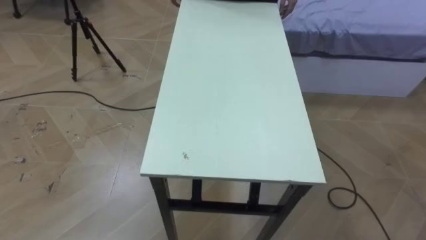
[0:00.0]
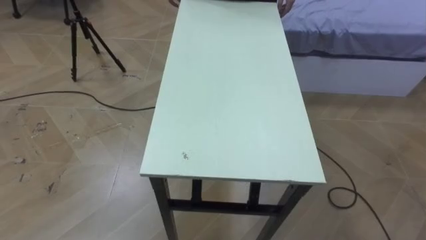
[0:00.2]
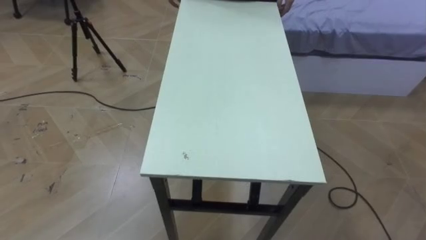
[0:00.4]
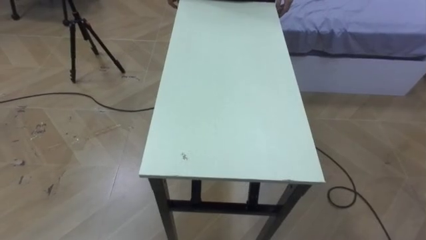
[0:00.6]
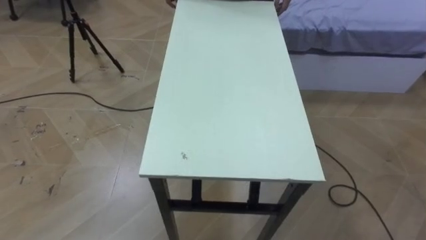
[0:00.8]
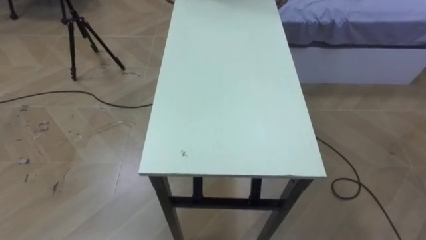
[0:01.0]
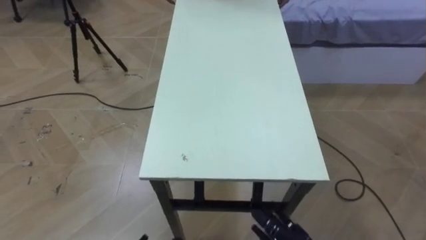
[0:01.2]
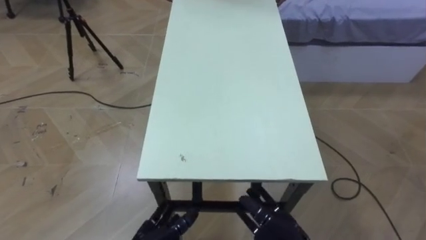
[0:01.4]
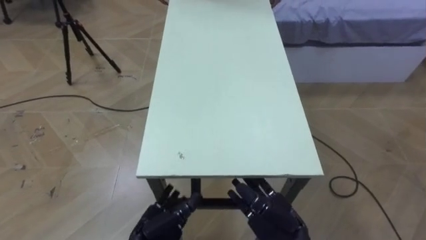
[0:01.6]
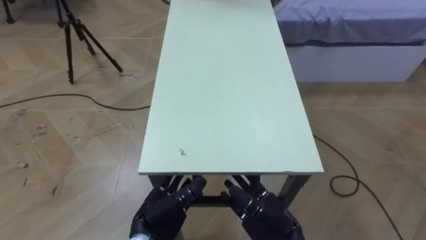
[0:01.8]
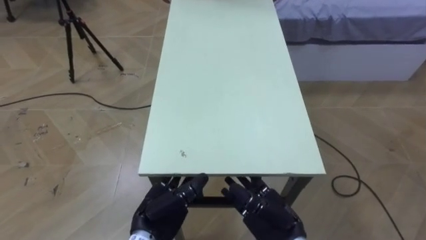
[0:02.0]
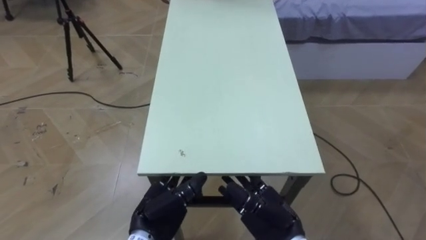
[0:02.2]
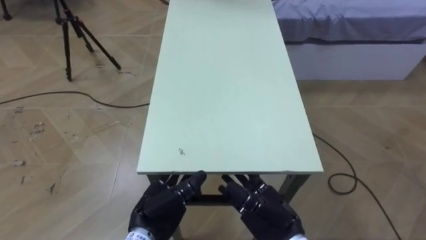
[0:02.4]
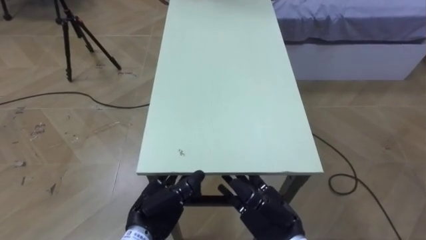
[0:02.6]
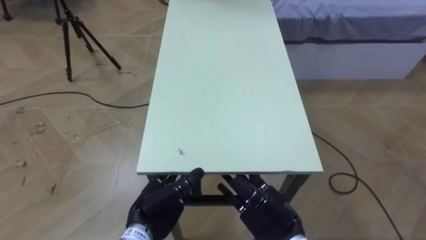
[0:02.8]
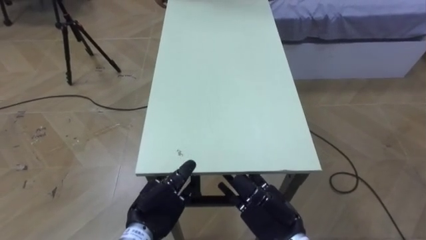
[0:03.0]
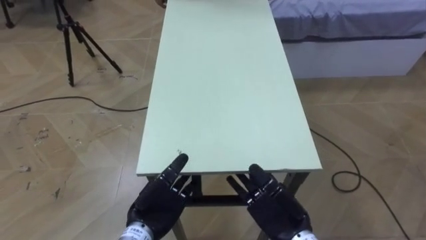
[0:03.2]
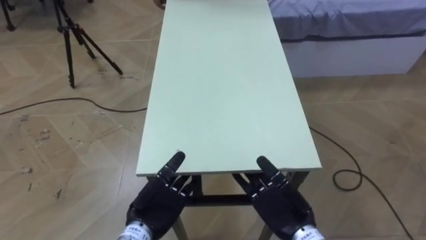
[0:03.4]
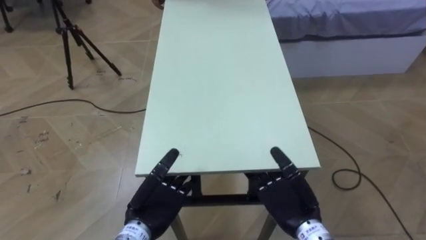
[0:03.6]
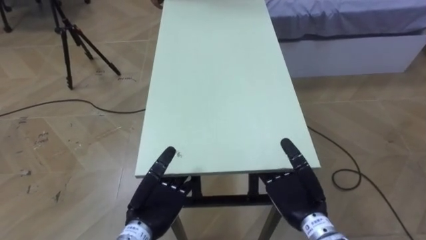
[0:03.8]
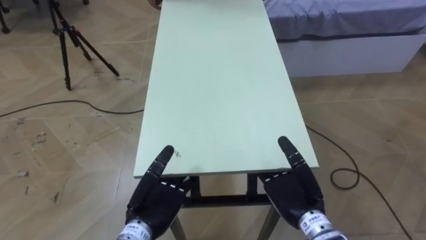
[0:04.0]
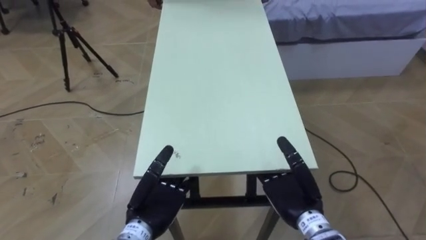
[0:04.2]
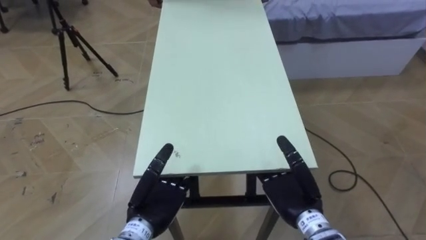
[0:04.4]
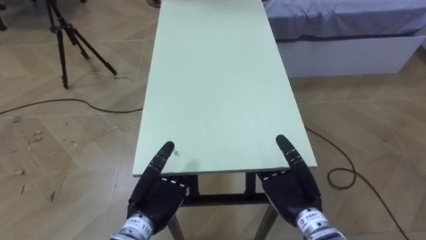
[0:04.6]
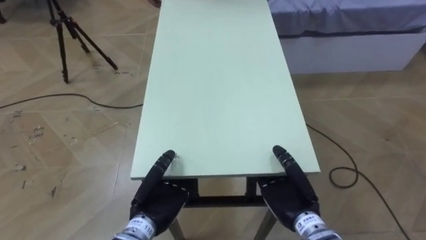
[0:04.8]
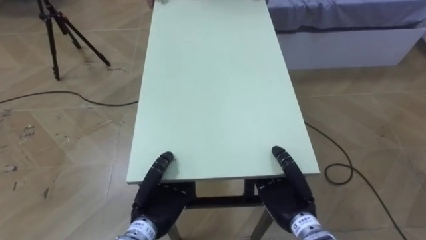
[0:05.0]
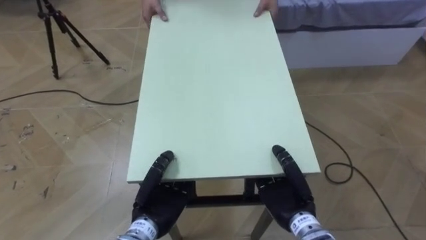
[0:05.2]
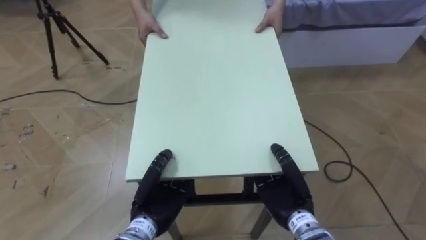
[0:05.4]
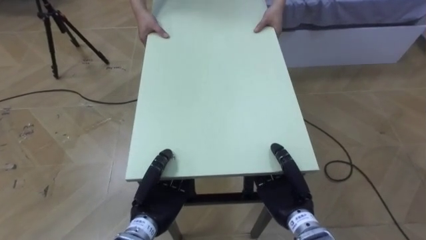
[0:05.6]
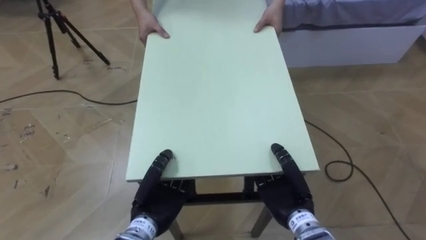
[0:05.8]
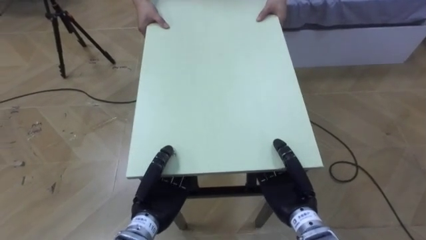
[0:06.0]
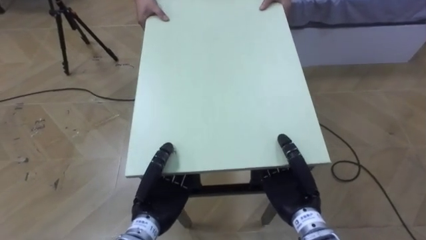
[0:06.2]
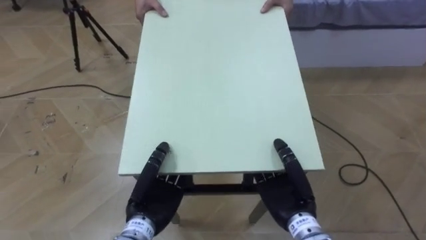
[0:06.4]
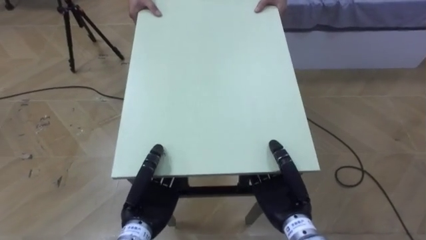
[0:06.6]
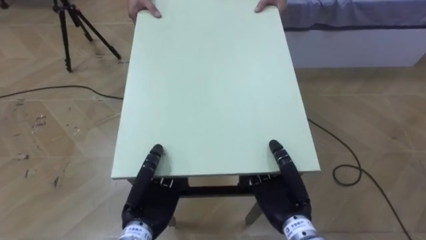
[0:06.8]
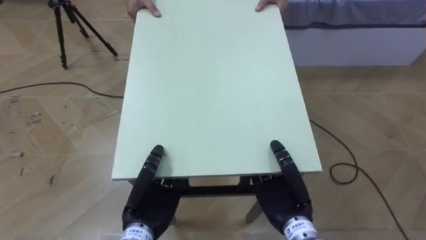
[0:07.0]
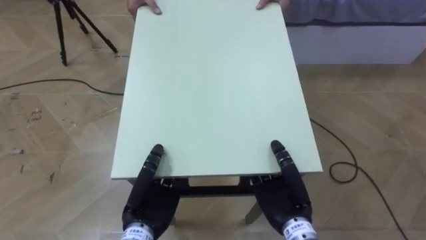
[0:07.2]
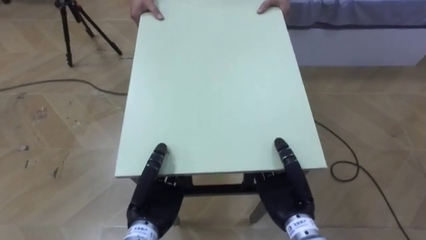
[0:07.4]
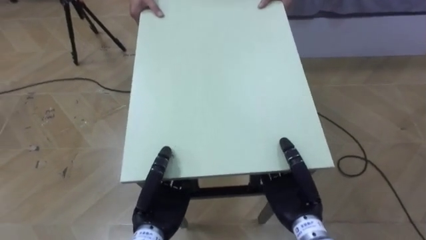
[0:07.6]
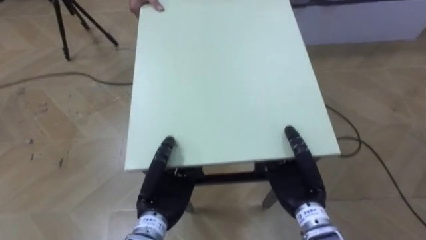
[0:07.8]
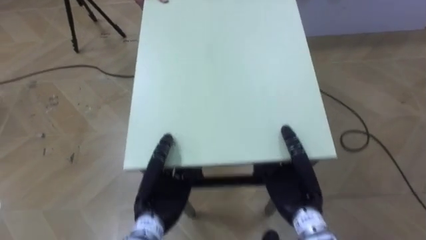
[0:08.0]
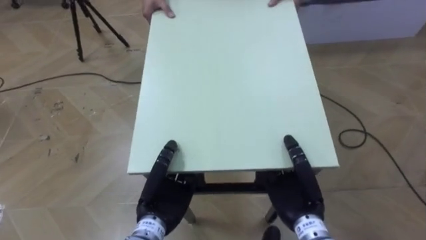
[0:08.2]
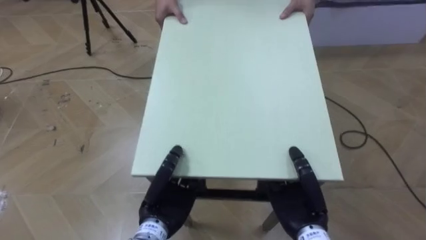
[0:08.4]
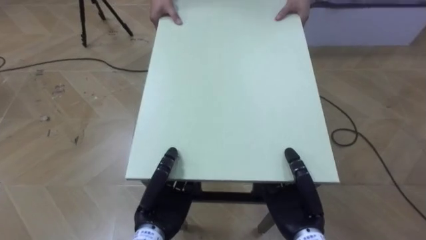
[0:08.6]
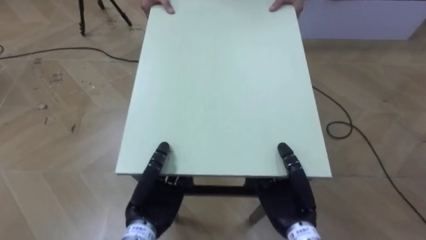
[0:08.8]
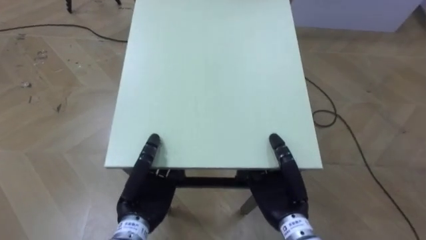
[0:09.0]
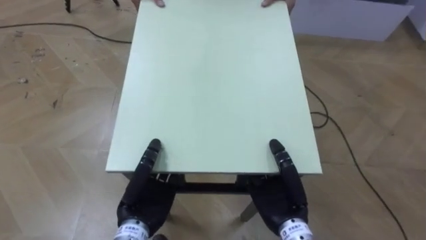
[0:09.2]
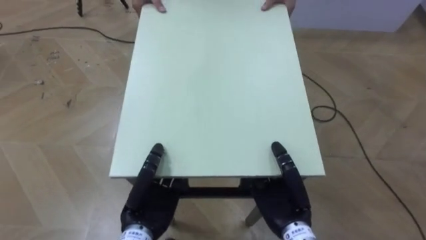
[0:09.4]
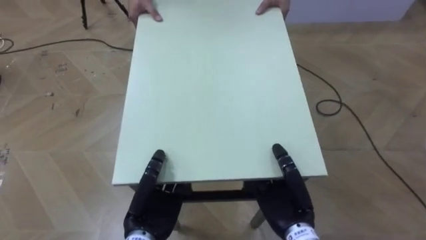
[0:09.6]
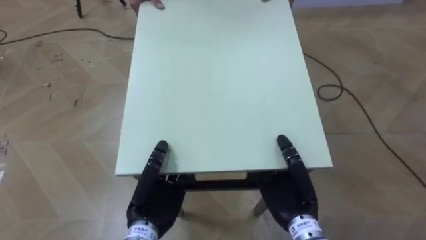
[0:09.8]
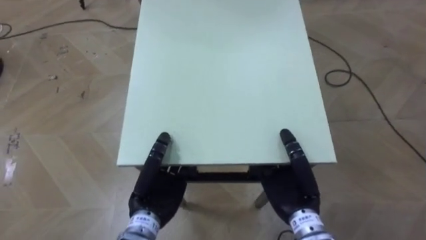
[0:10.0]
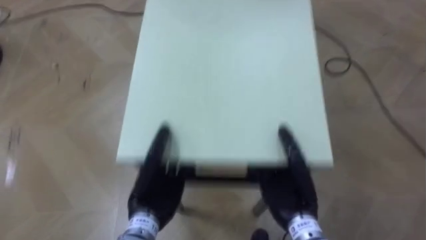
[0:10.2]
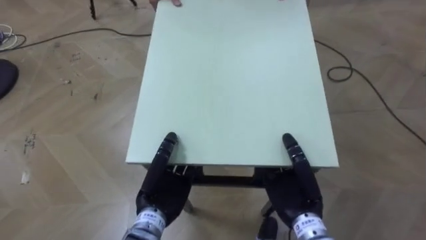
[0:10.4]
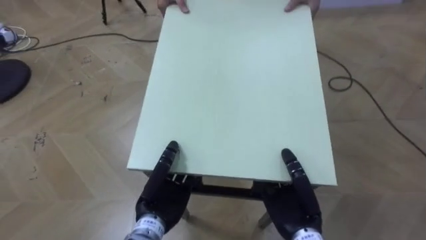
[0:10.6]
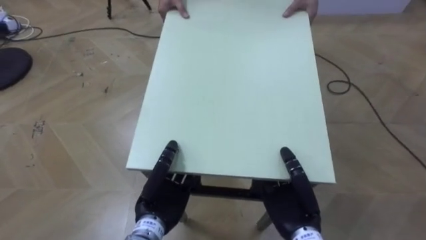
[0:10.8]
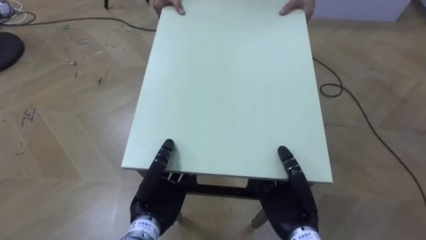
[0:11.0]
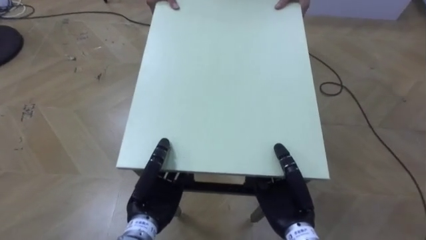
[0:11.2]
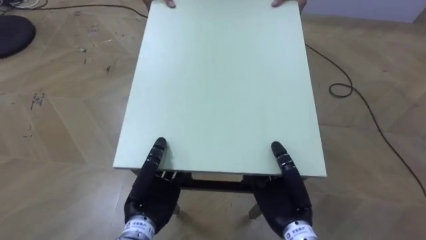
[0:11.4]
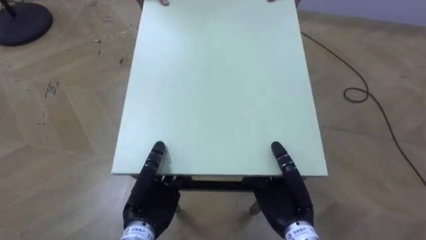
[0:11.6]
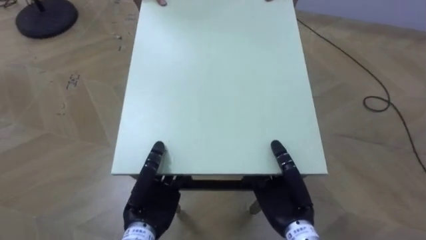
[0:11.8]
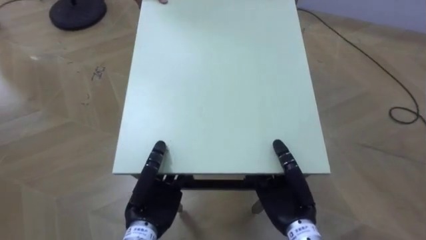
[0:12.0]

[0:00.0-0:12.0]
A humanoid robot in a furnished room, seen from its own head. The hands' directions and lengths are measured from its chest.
Task of the whole recording: Move the table to the back left with someone.
0:01.6 to 0:03.0: The left hand changes place by about 5 cm.
0:03.0 to 0:04.4: The right hand shifts by some 5 cm.
0:04.4 to 0:06.0: The right hand closes; the left hand closes.
0:10.4 to 0:12.0: The robot rotates roughly 20 degrees to its left.

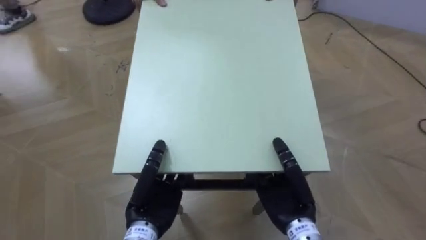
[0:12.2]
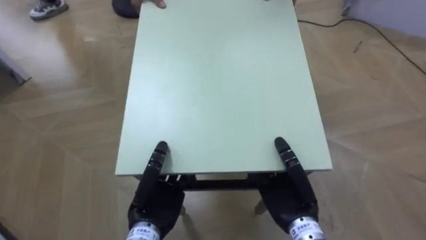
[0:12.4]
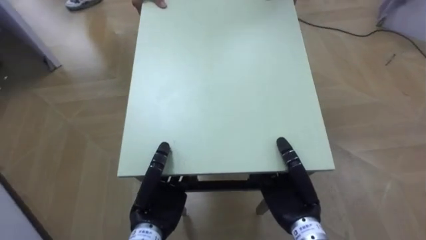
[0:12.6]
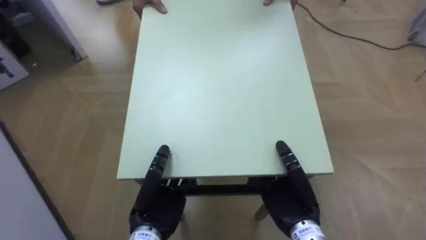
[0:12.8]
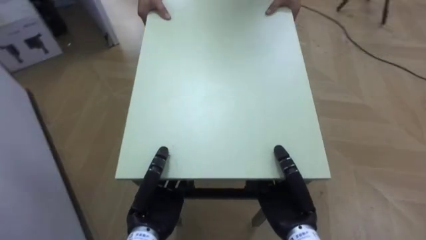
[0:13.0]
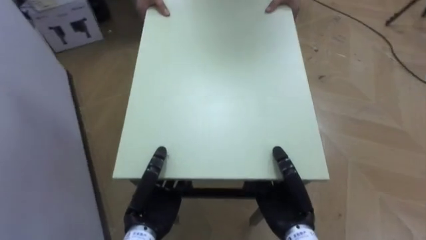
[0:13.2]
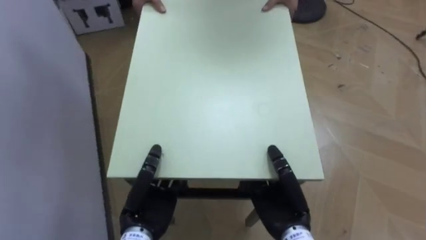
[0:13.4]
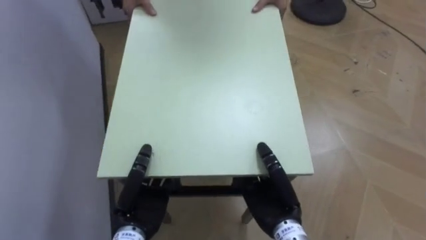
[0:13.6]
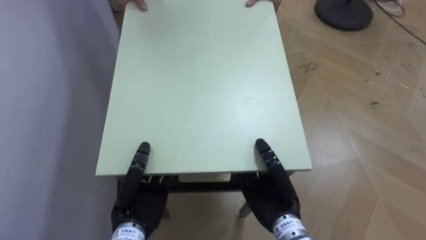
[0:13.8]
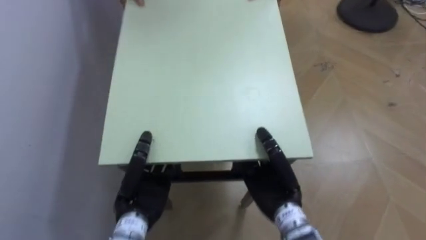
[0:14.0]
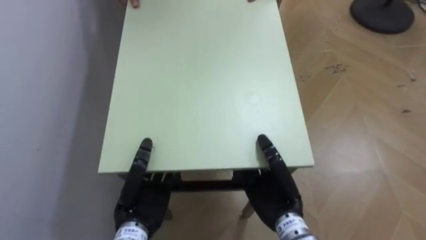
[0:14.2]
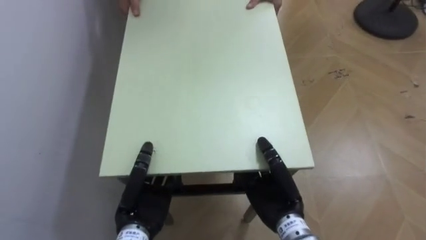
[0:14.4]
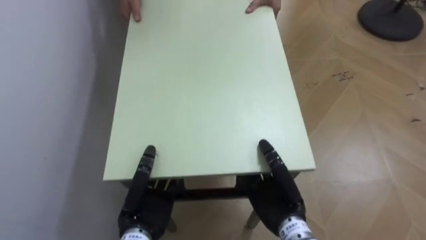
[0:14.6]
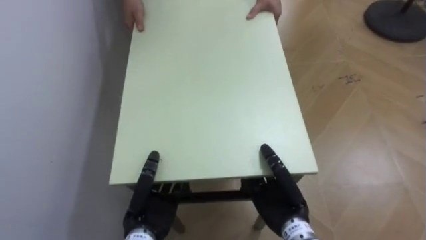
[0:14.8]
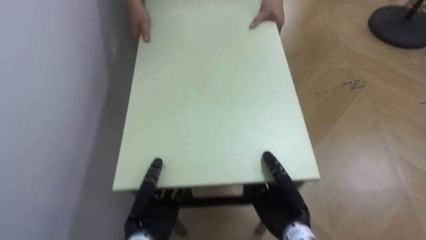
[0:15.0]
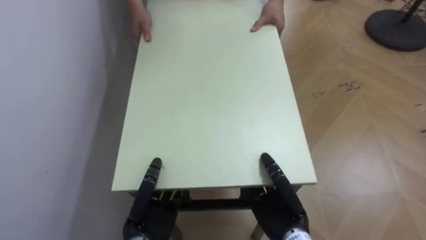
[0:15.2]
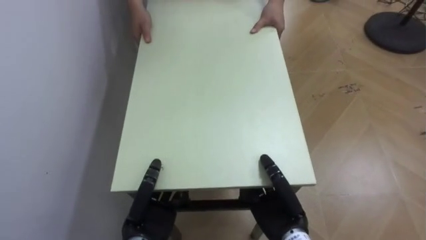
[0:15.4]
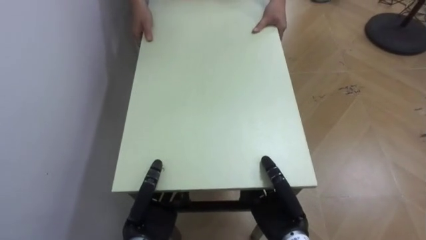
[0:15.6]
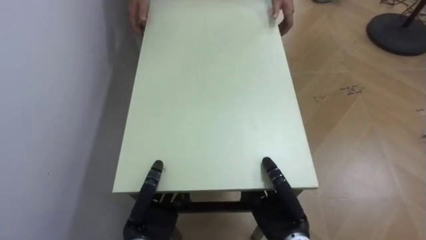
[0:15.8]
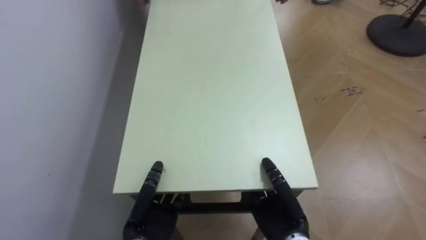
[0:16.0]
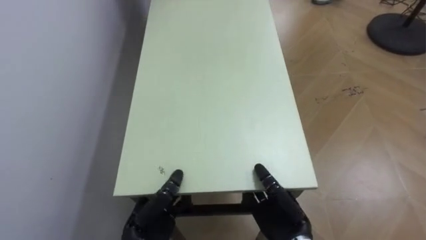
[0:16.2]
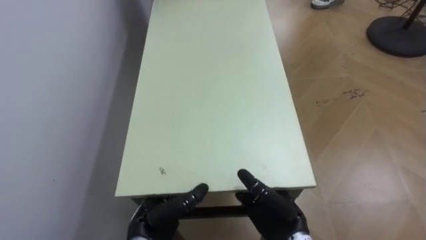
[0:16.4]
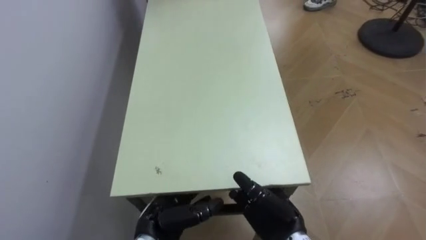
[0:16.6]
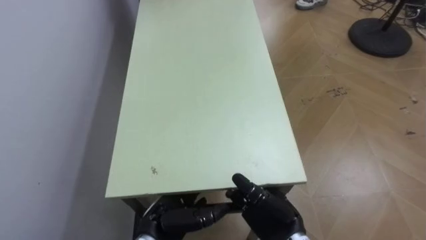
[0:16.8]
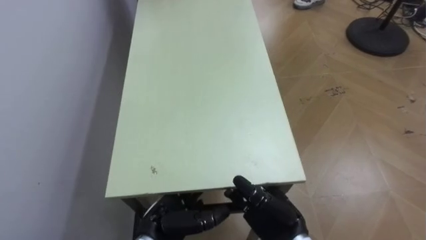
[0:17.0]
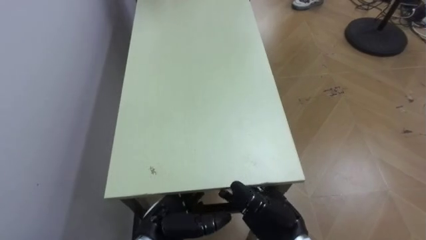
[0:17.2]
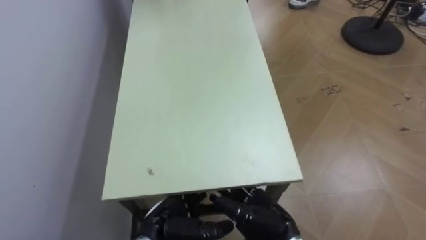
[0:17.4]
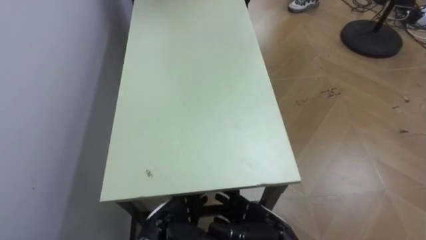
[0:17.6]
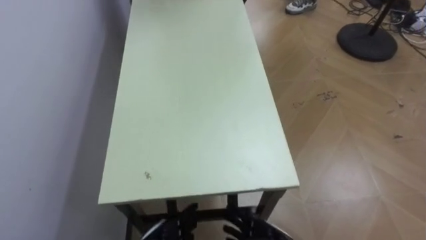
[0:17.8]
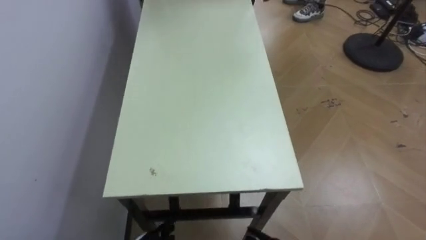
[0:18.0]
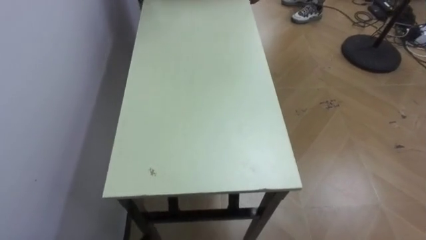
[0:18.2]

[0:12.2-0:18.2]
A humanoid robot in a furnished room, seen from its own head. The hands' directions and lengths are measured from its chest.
Task of the whole recording: Move the table to the back left with someone.
0:12.2 to 0:13.8: The robot turns to its left by about 50 degrees.
0:15.2 to 0:16.6: The right hand opens its fingers. Meanwhile the left hand opens.
